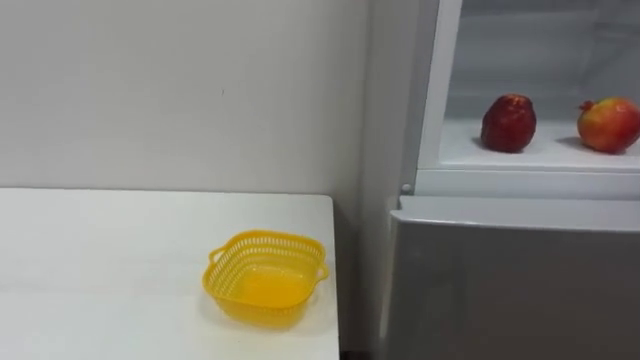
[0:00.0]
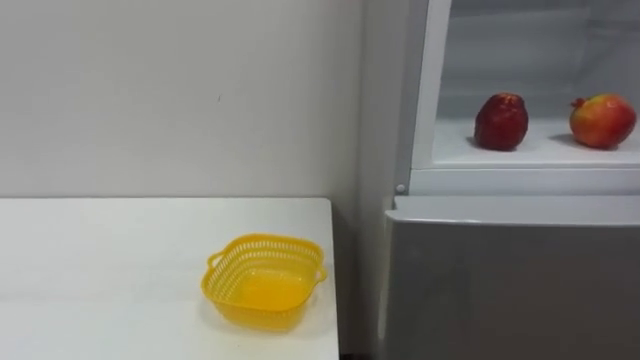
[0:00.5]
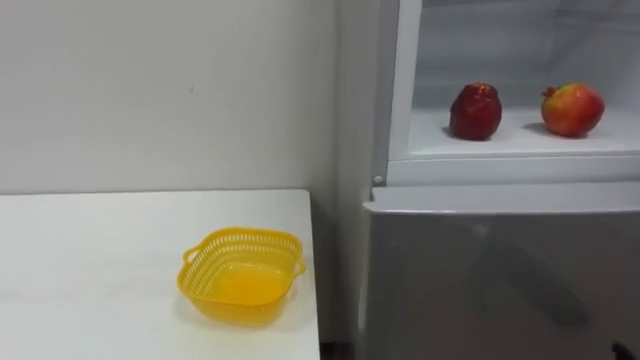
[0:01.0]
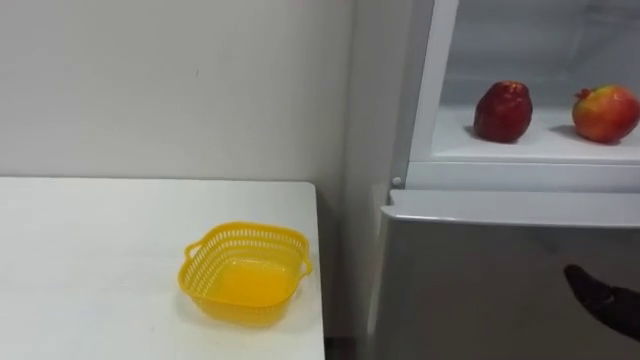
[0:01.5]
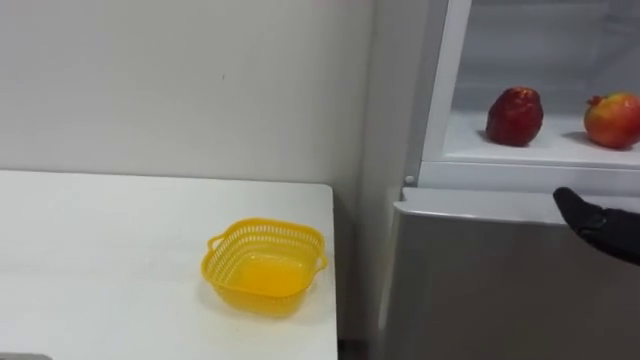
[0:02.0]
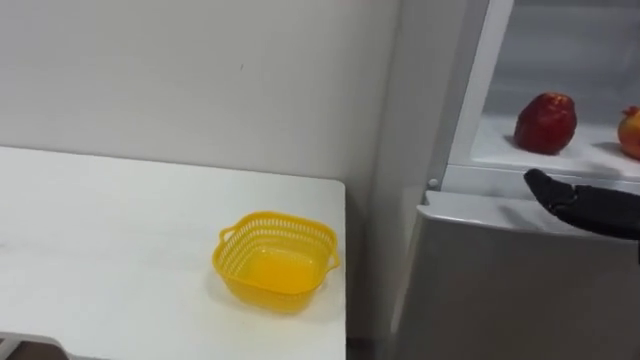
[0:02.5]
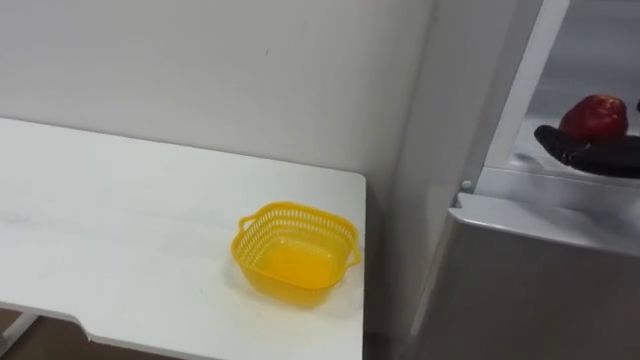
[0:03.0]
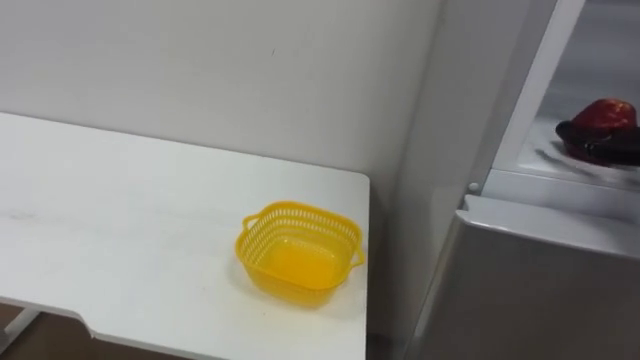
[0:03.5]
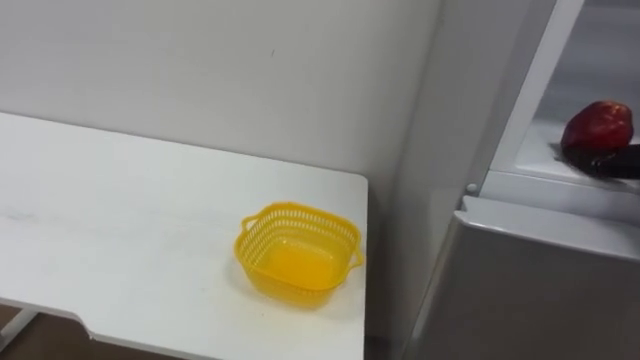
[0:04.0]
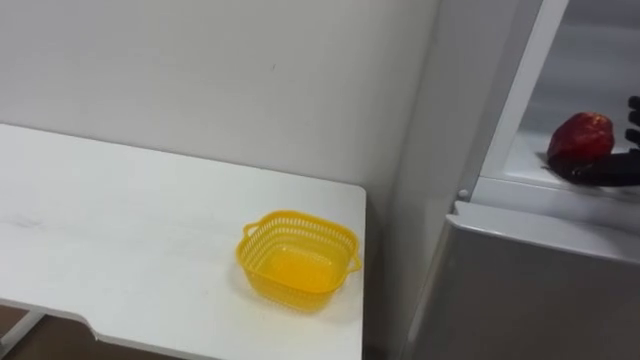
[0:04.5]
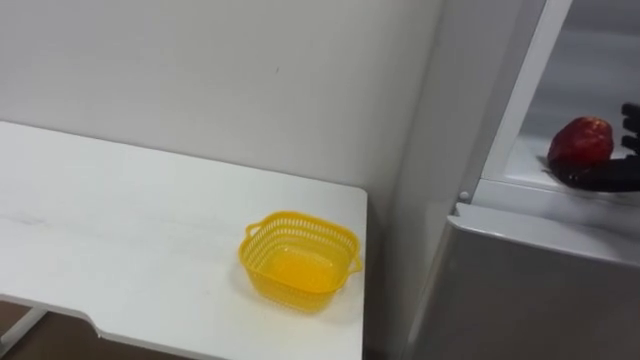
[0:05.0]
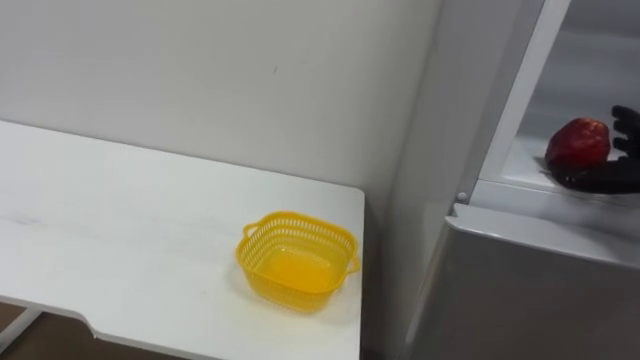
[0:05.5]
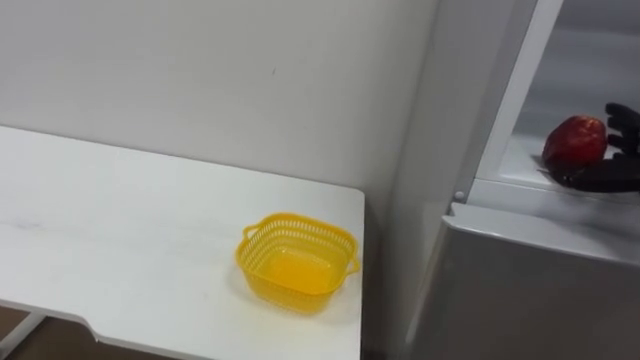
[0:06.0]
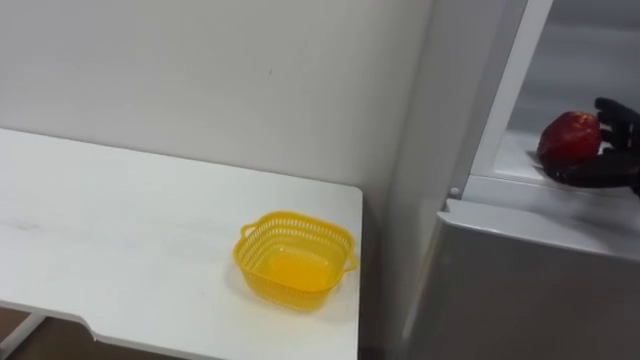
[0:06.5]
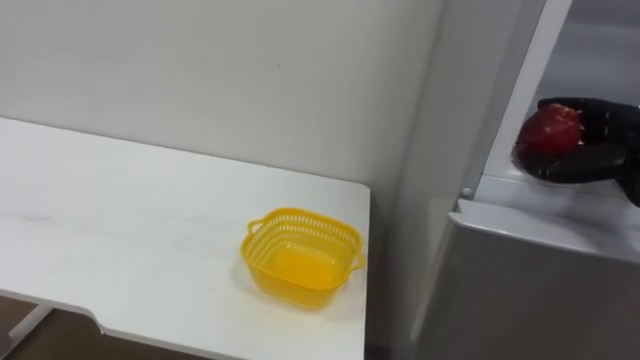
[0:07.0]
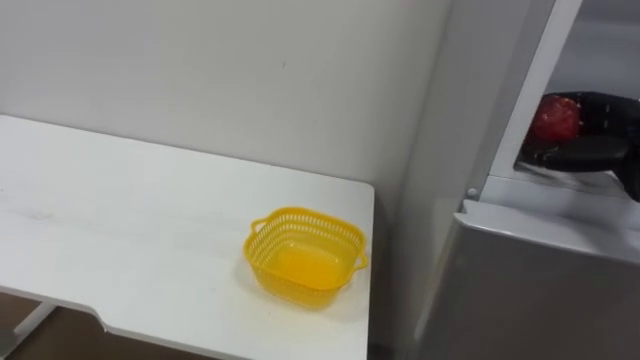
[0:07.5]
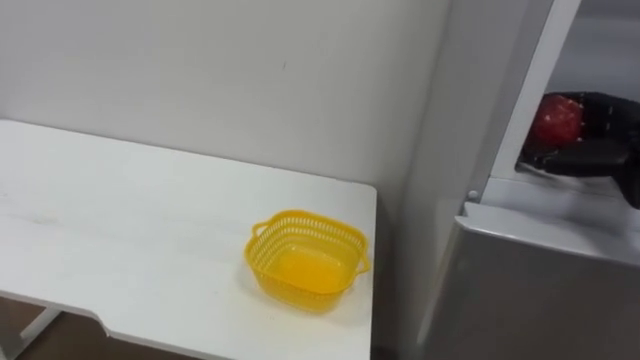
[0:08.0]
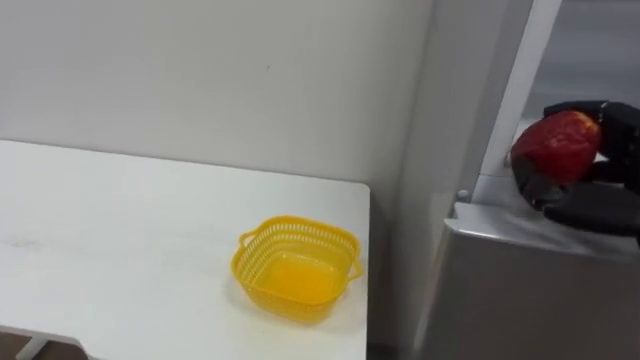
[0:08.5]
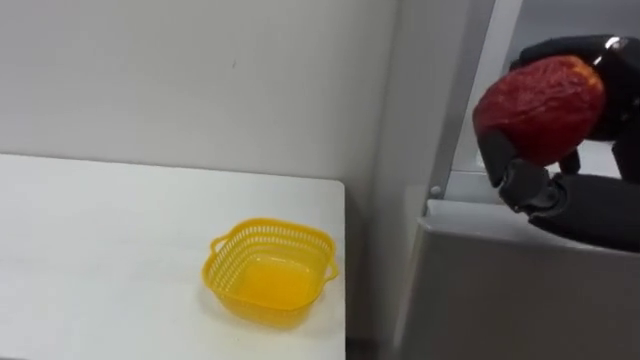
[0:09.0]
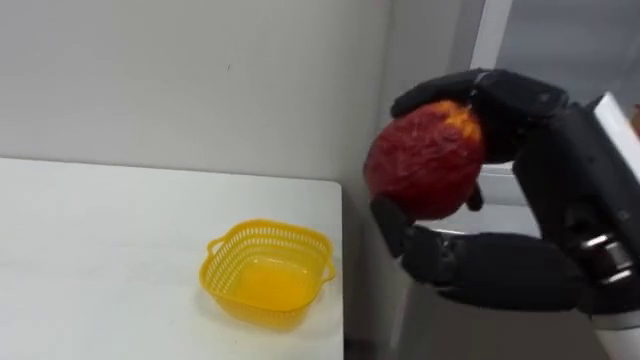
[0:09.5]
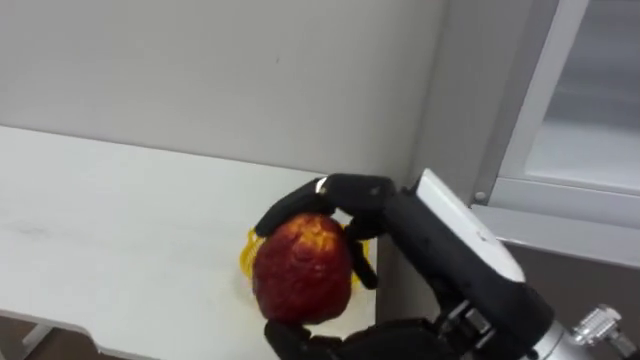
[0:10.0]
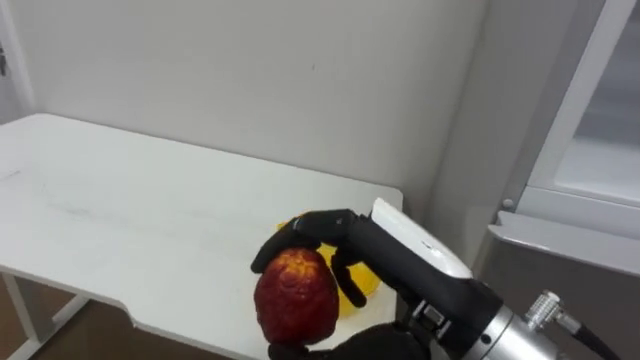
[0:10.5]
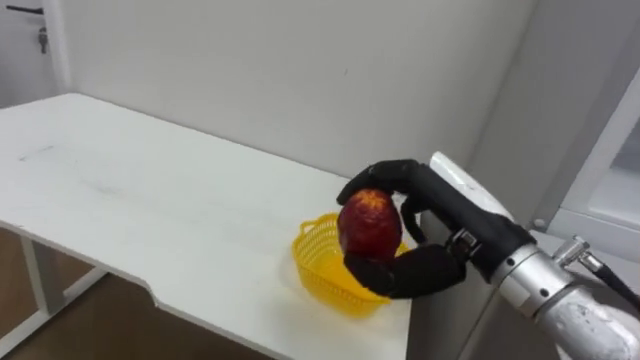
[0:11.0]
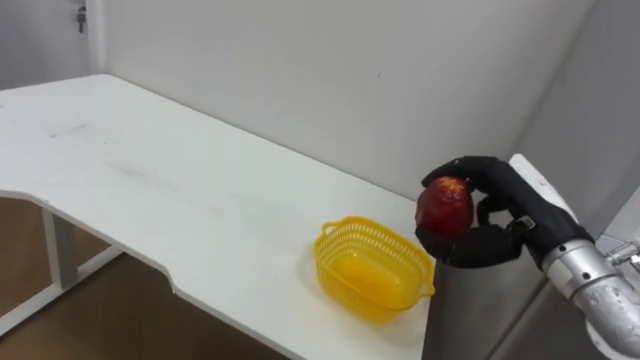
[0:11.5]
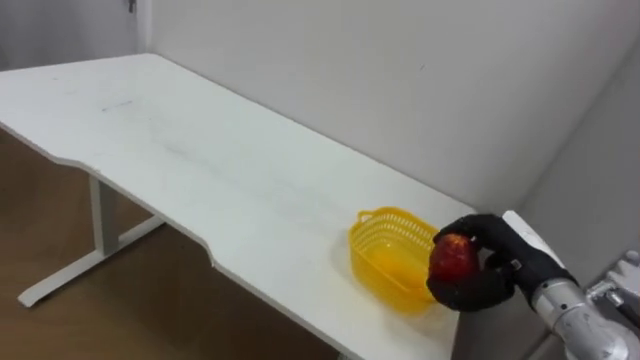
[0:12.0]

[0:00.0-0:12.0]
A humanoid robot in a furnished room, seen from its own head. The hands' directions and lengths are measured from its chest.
Task of the whole recording: Open the refrigerator door, take out the apple and the pomegranate, place them in the fruit basket on the left, and close the refrigerator door.
0:10.0 to 0:12.0: The right hand travels forward, downward and to the right by roughly 25 cm.

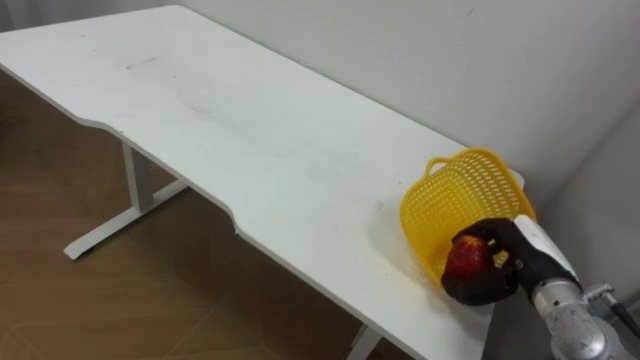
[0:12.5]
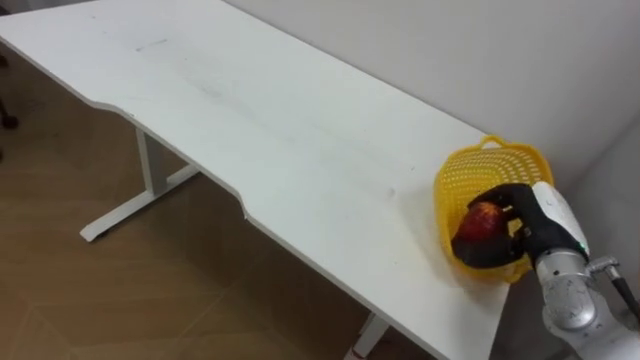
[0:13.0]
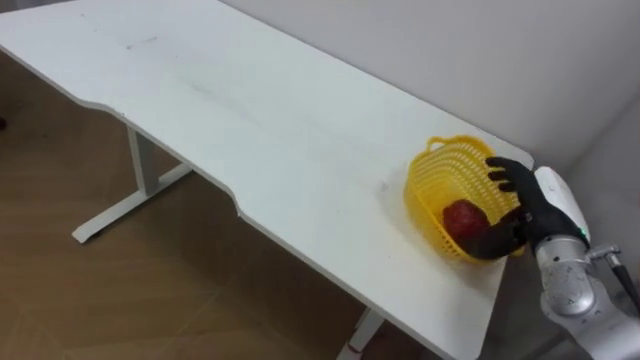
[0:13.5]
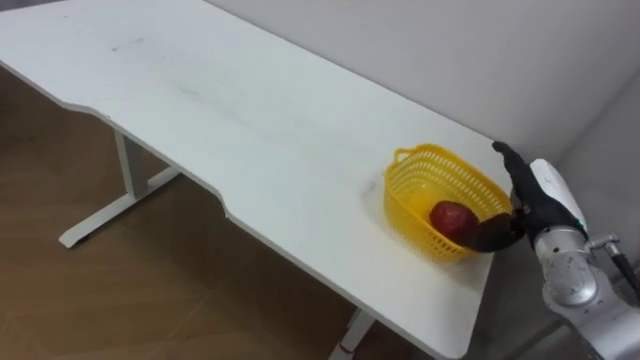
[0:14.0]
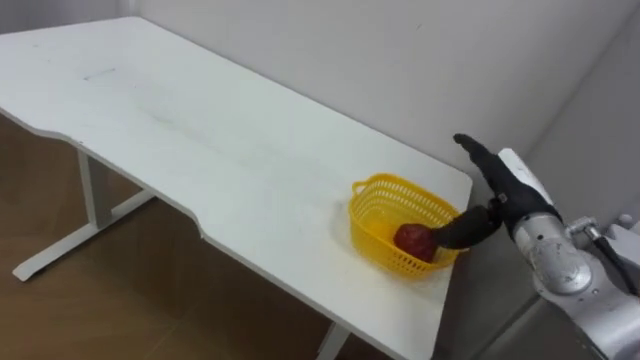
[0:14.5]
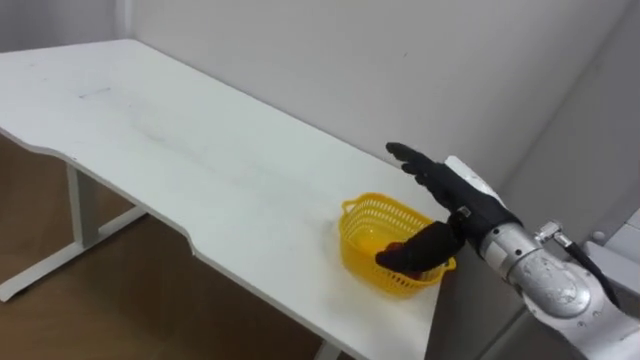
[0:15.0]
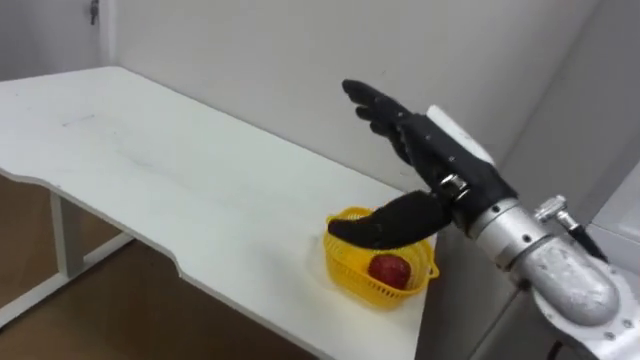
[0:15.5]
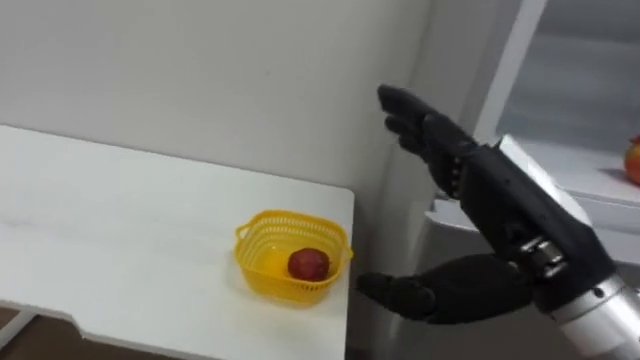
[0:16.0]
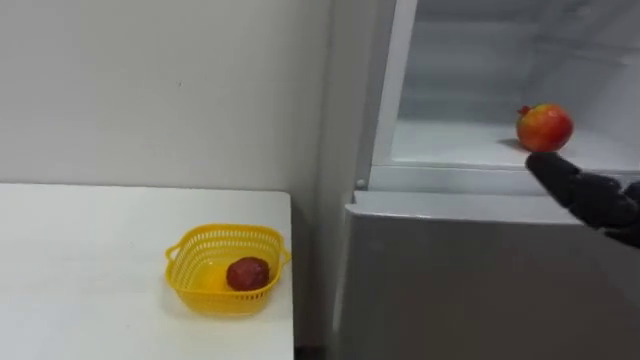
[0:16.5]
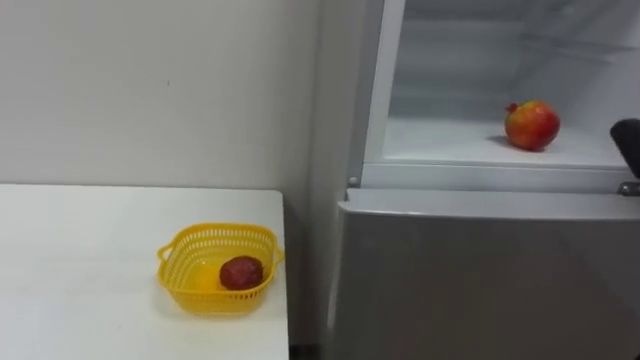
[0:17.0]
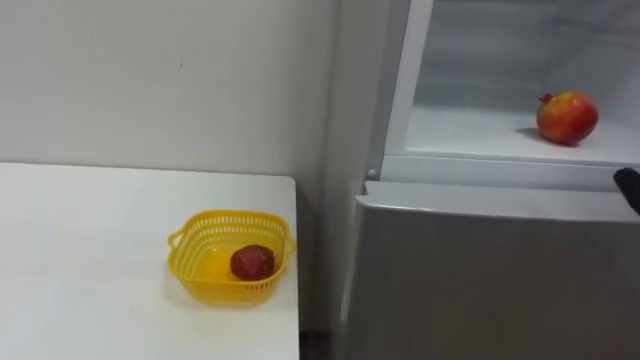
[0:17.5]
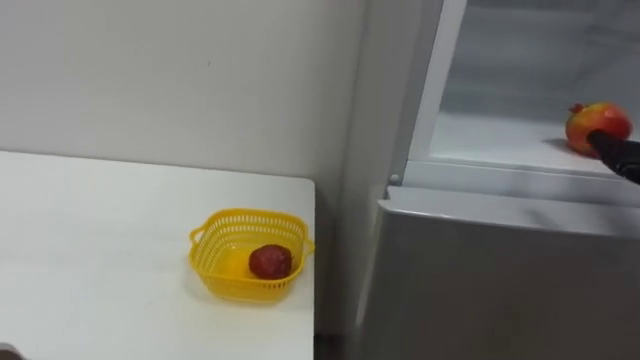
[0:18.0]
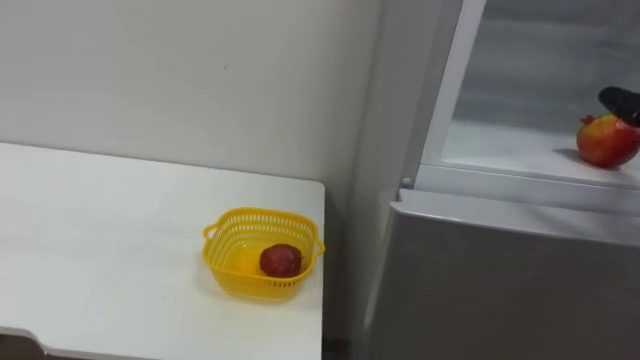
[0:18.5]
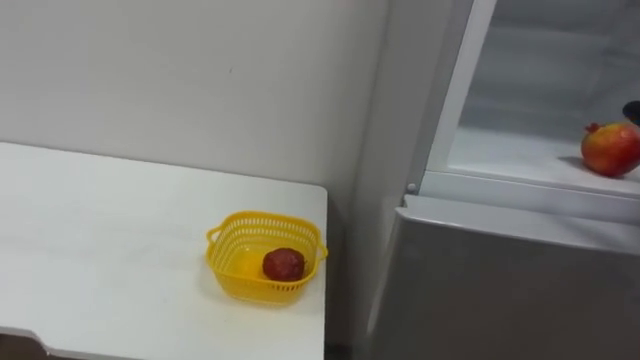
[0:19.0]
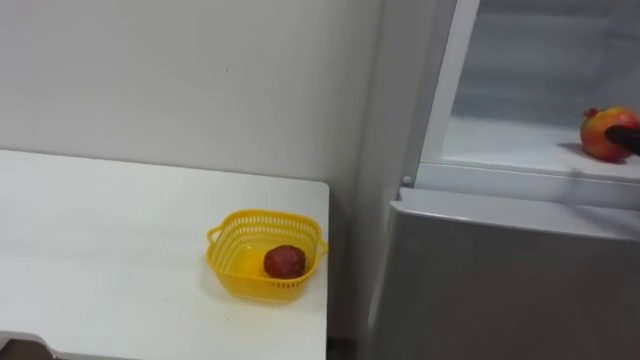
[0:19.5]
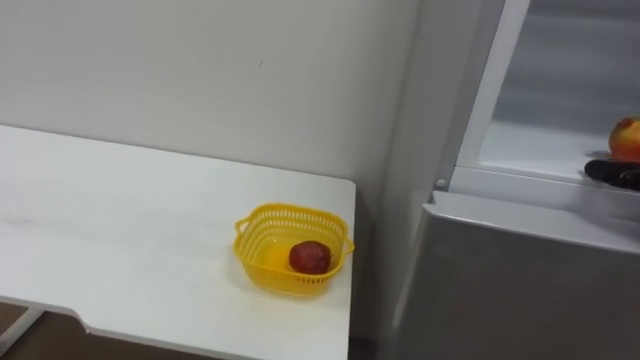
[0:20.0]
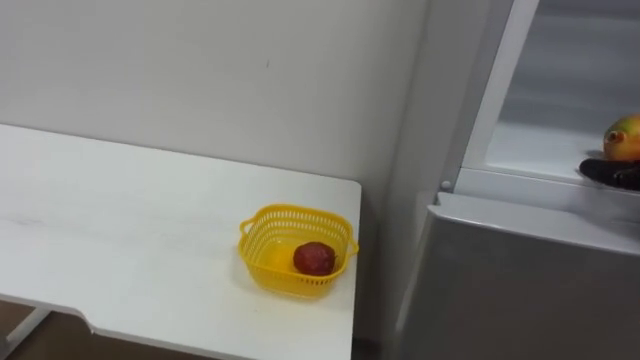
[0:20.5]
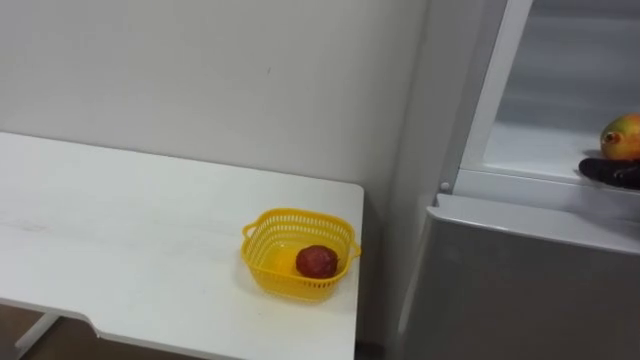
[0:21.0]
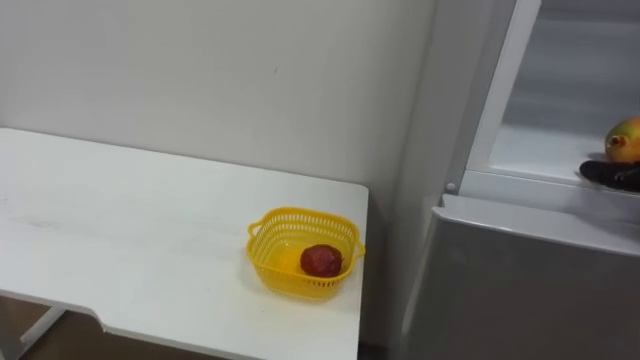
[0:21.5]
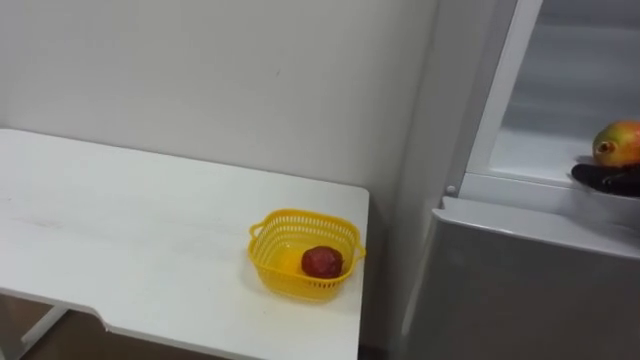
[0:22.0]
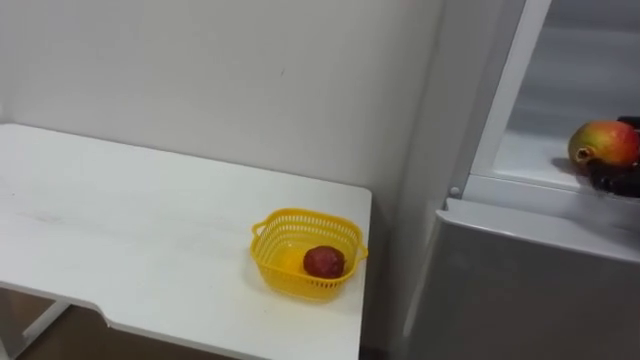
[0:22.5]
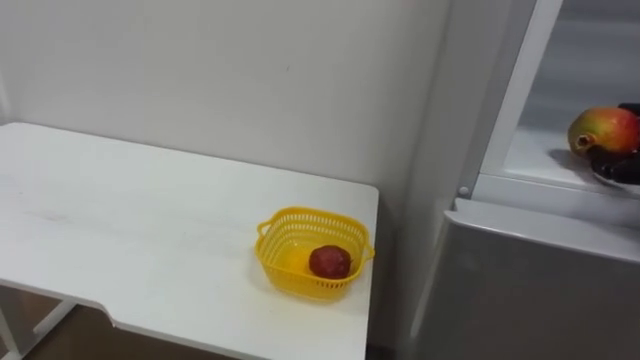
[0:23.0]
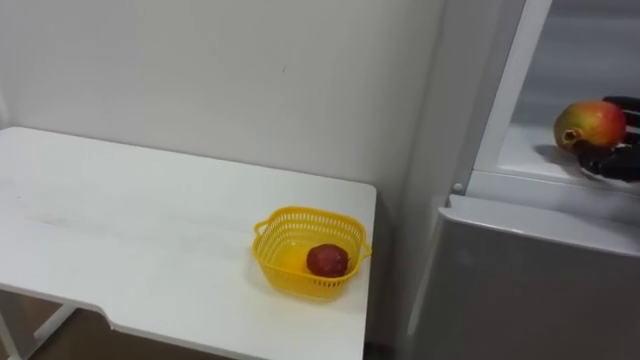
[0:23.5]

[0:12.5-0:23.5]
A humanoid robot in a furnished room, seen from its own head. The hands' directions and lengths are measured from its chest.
Task of the whole recording: Open the refrigerator door, take out the apple and the pomegranate, place them in the fruit basket on the left, and close the refrigerator door.
0:12.5 to 0:14.5: The right hand shifts approximately 10 cm upward, and opens its fingers.
0:14.5 to 0:16.0: The right hand heads backward, upward and to the left, covering approximately 20 cm.
